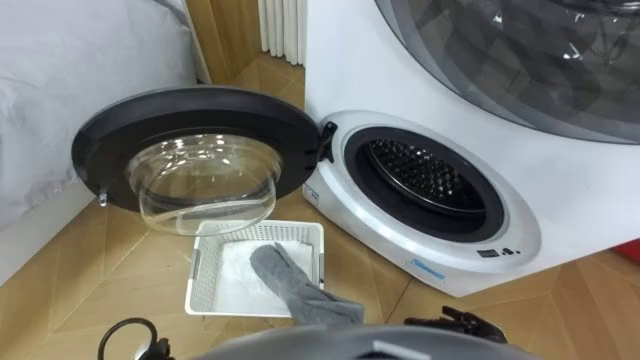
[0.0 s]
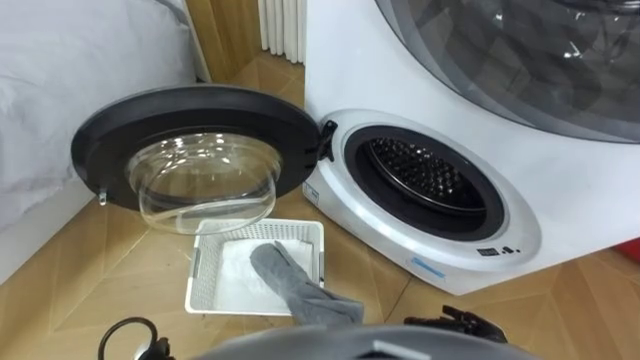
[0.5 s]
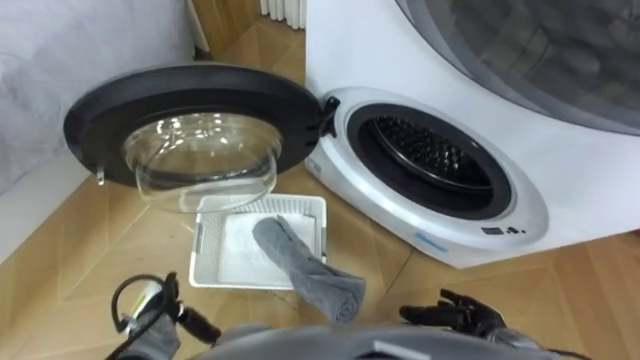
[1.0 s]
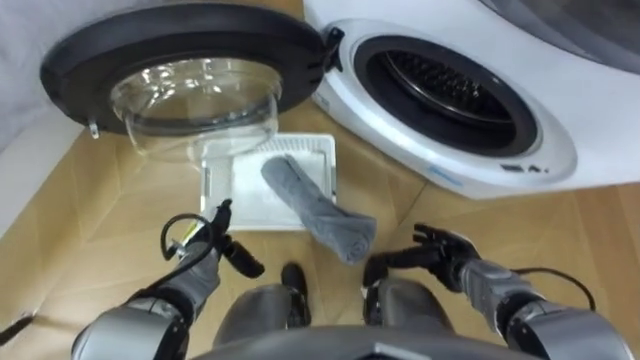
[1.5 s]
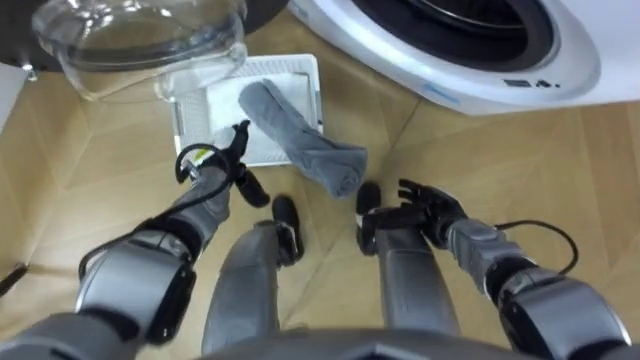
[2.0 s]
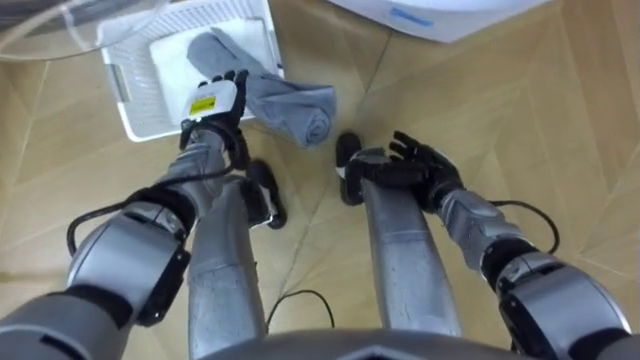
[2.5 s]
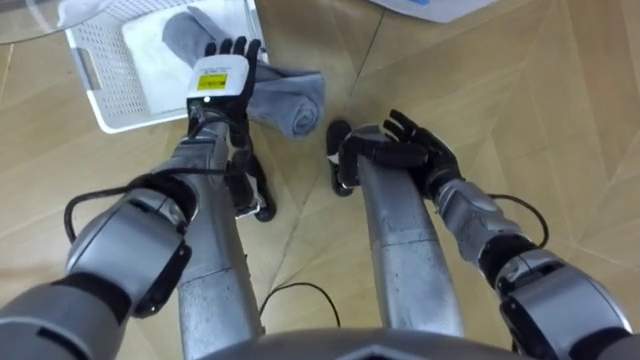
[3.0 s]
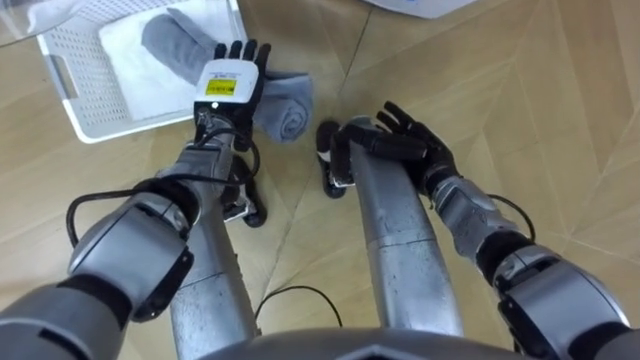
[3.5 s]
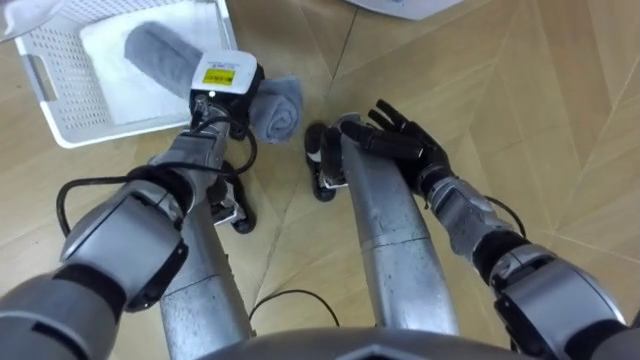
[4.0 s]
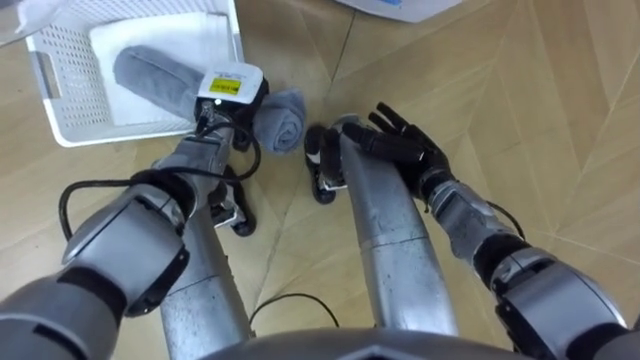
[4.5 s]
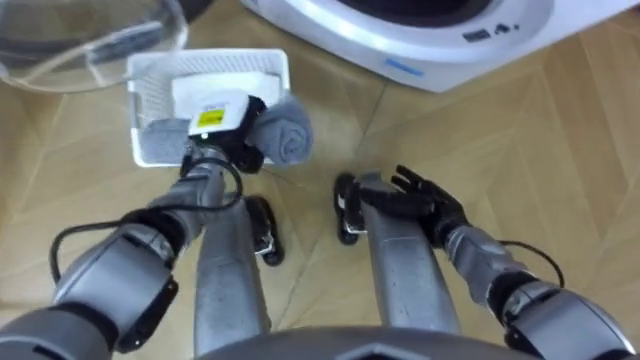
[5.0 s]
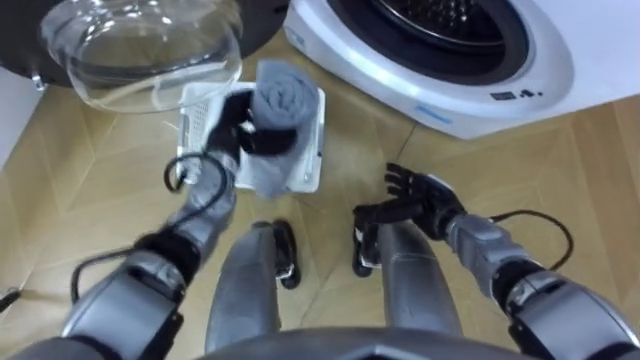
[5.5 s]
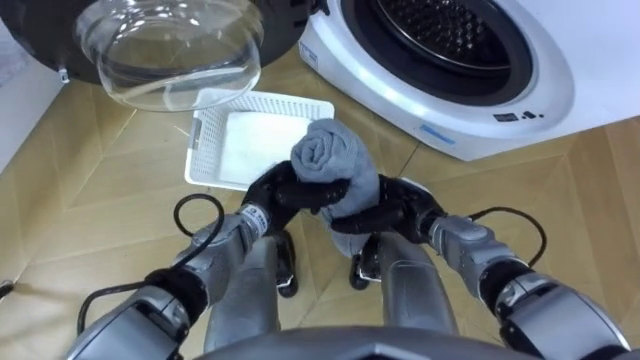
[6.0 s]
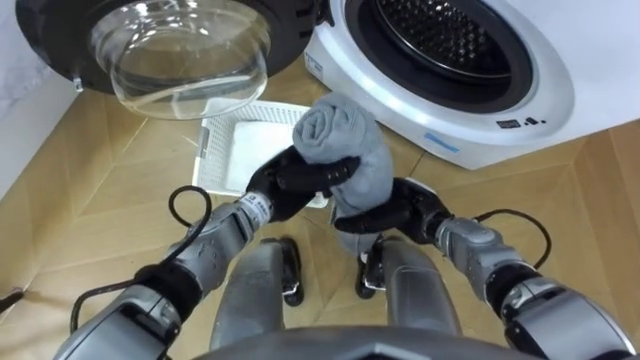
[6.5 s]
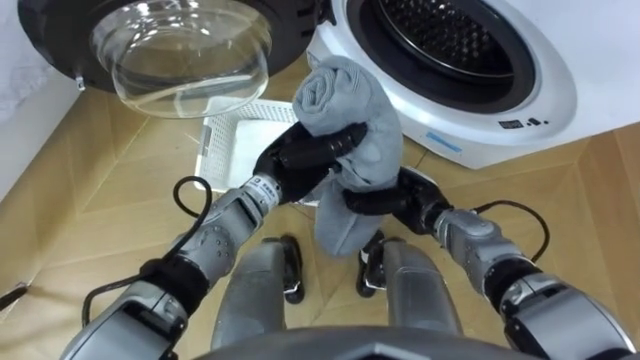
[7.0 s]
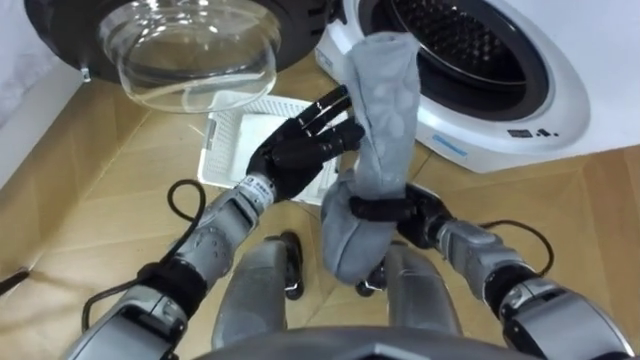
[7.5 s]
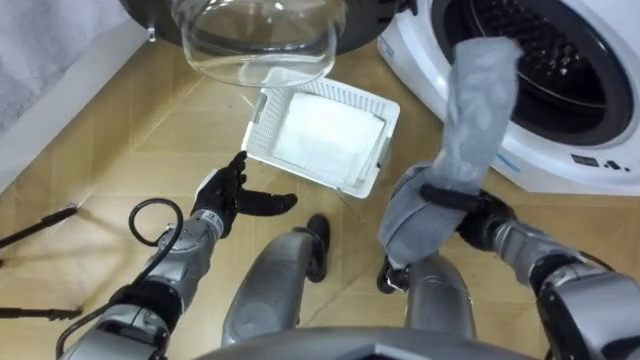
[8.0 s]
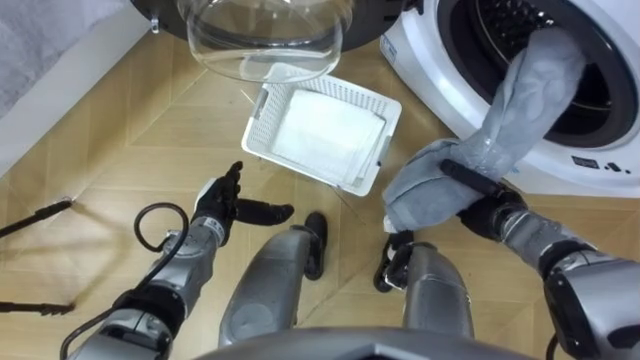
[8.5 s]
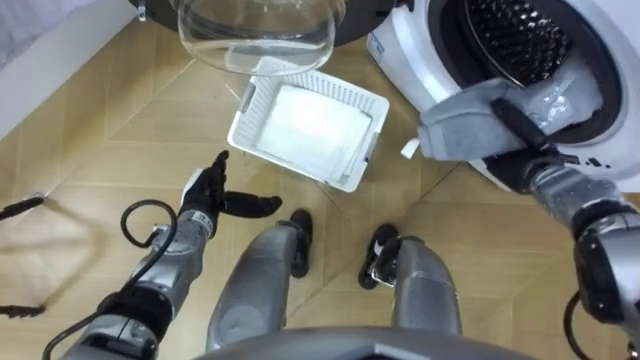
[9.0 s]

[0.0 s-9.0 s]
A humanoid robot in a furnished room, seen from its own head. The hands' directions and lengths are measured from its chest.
Task of the whole recording: Take the towel from the basket and put it into the washing machine.
2.0 to 4.5 s: Both hands move upward and forward, approximately 10 cm. The left hand closes.
4.5 to 7.0 s: The left hand moves backward and to the right, about 10 cm. Meanwhile the right hand ends up roughly 5 cm from where it was, and closes up.
7.0 to 9.0 s: The right hand moves to the right, roughly 15 cm, while the left hand heads to the left and downward, covering some 15 cm, and opens its fingers.

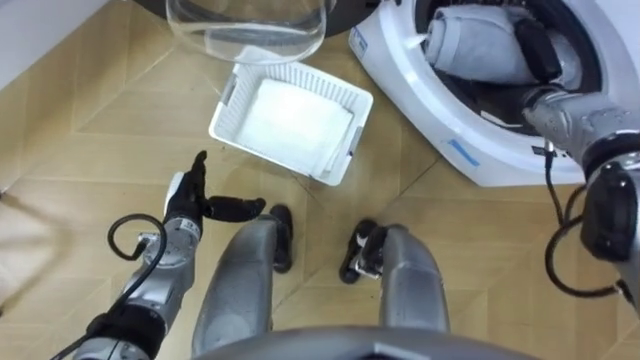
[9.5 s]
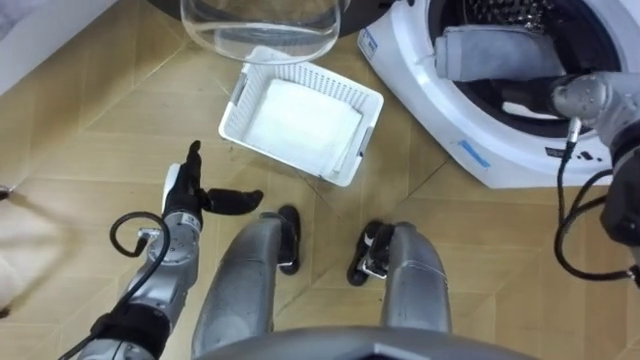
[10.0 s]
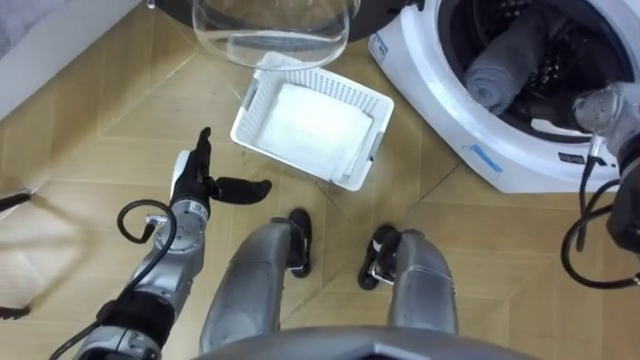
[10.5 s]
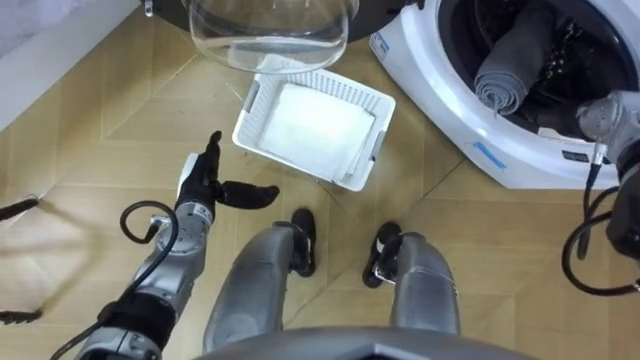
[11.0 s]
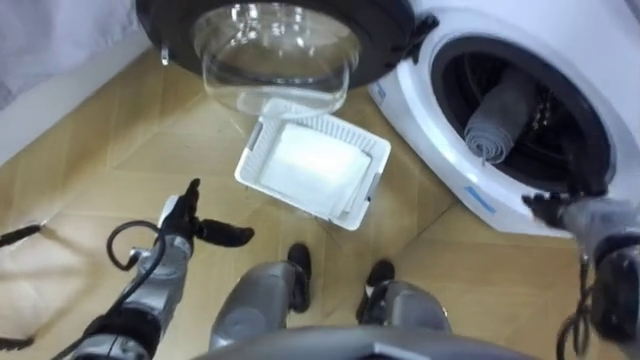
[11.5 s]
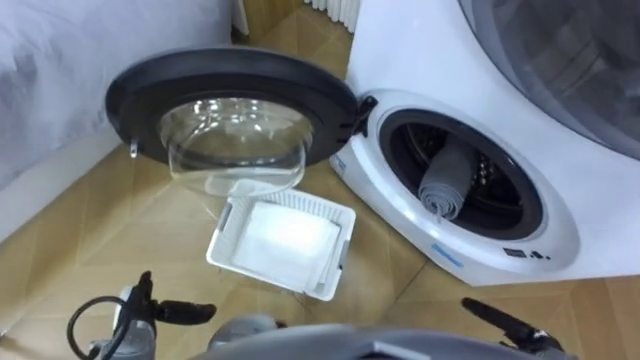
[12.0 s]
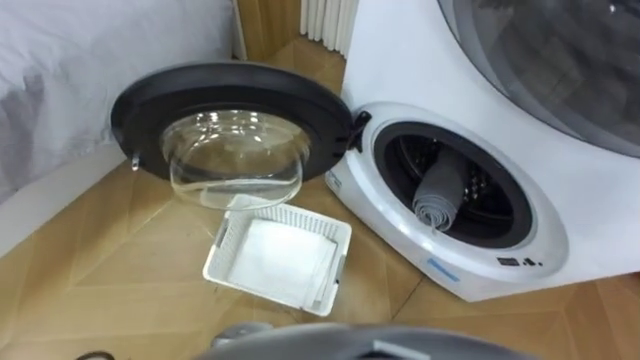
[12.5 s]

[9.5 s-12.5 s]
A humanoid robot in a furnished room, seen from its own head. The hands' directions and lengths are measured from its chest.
Task of the whole recording: Take the towel from the basket and put it into the washing machine.
9.5 to 11.0 s: The right hand shifts about 10 cm to the right, and opens.

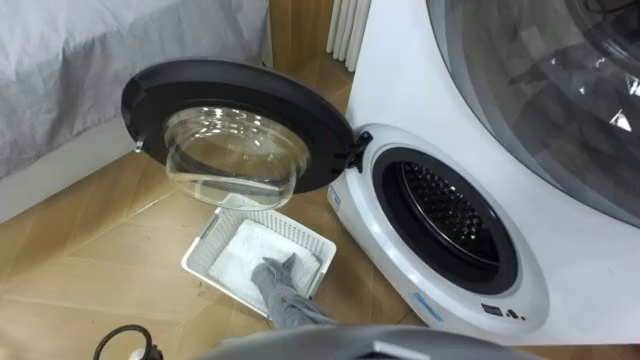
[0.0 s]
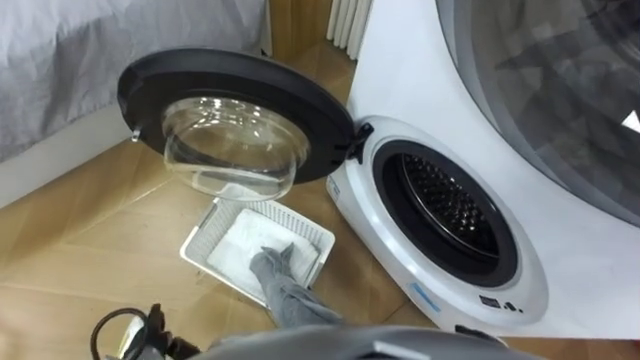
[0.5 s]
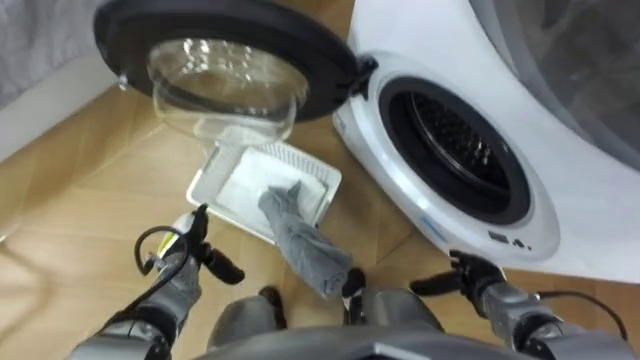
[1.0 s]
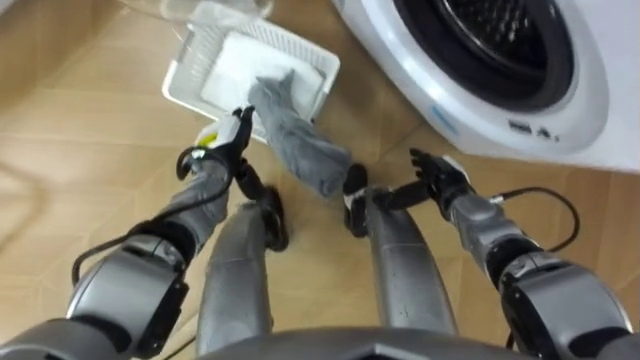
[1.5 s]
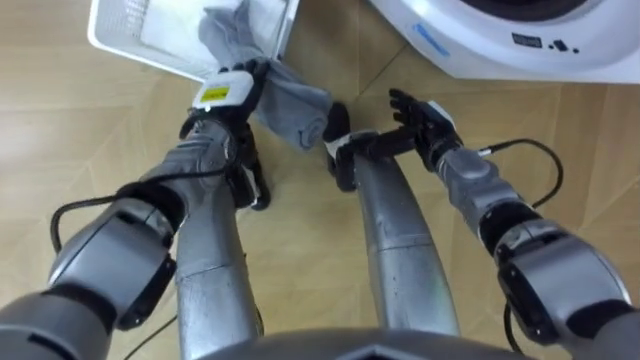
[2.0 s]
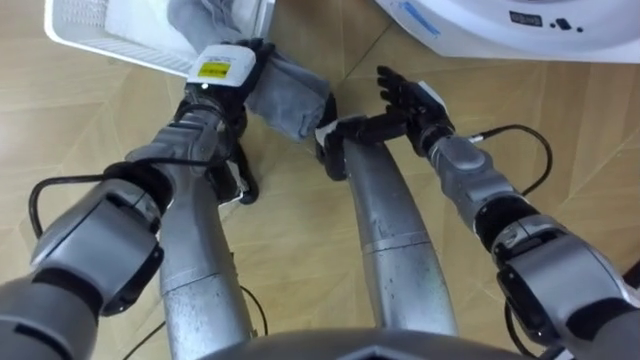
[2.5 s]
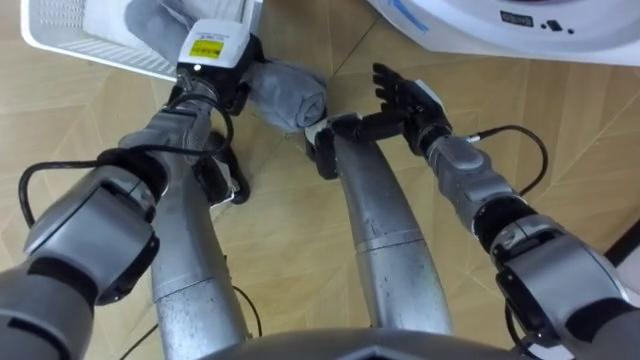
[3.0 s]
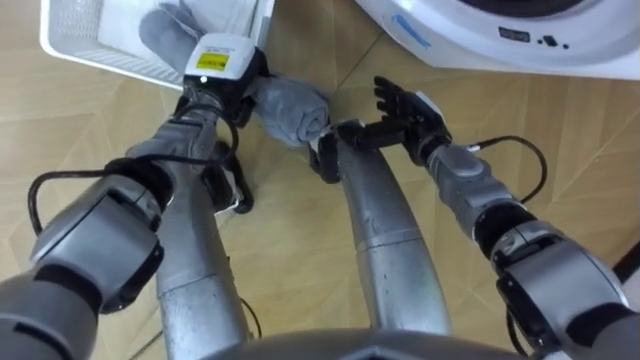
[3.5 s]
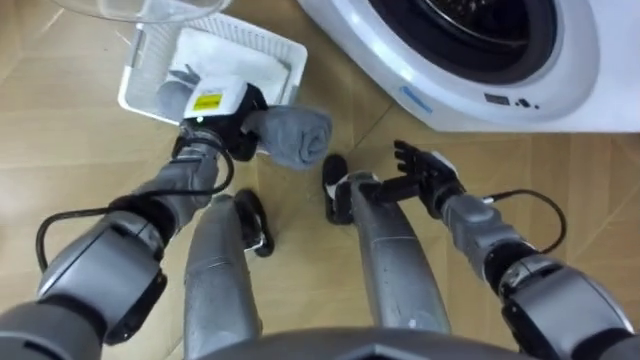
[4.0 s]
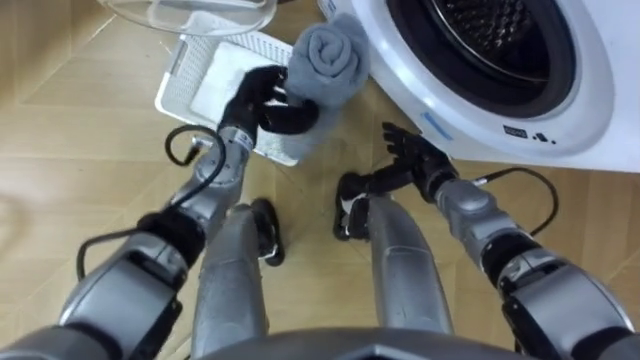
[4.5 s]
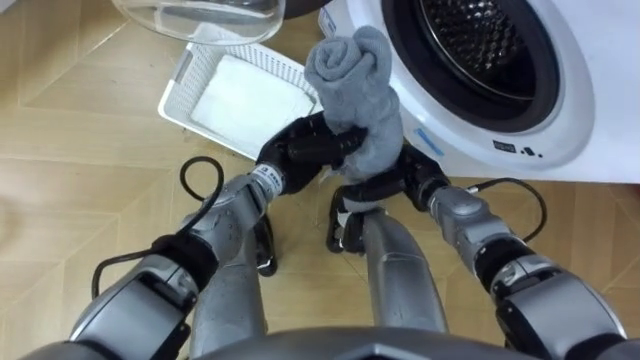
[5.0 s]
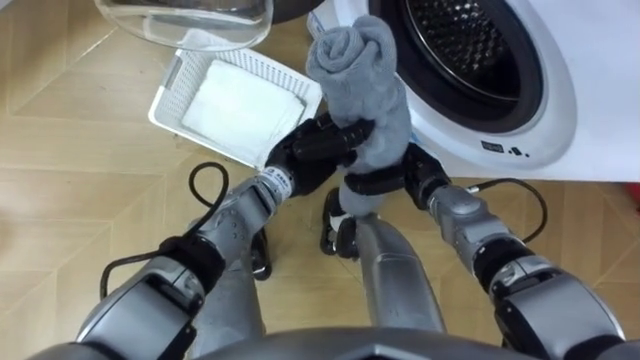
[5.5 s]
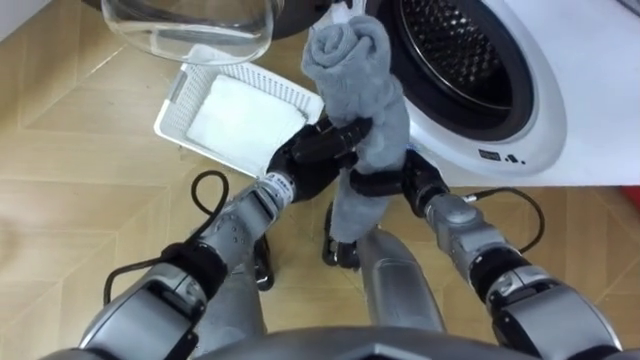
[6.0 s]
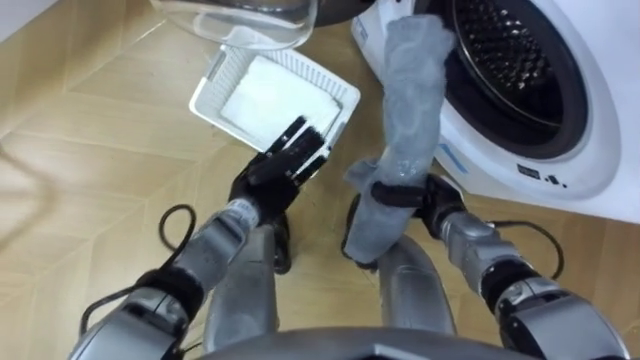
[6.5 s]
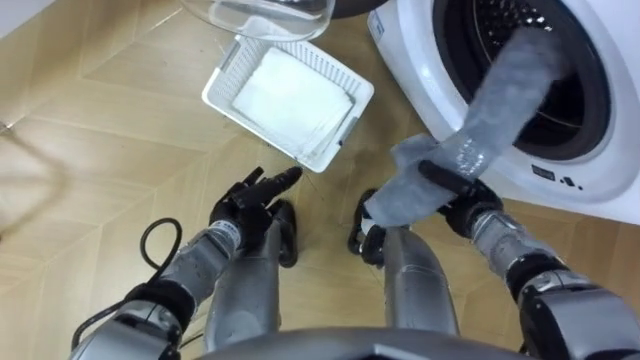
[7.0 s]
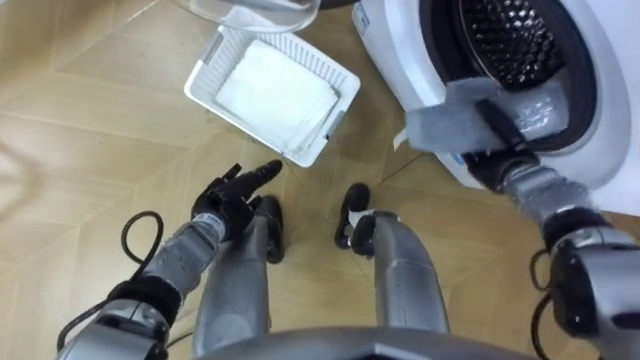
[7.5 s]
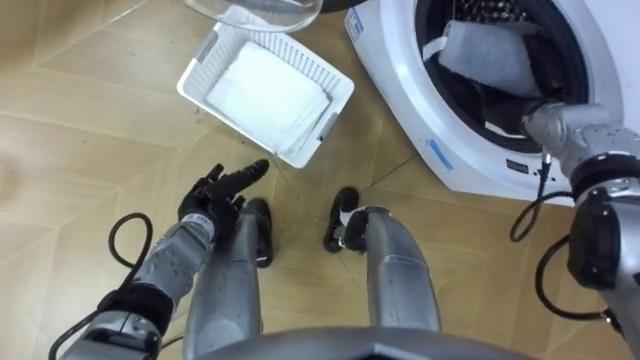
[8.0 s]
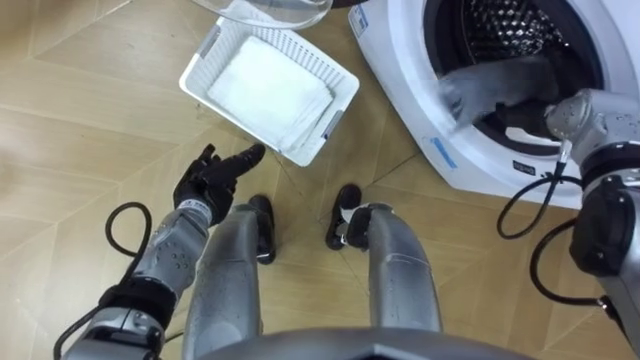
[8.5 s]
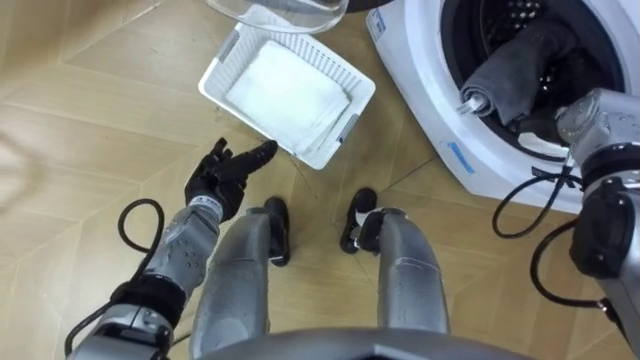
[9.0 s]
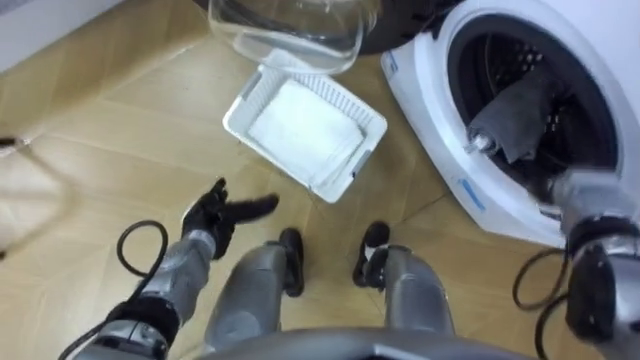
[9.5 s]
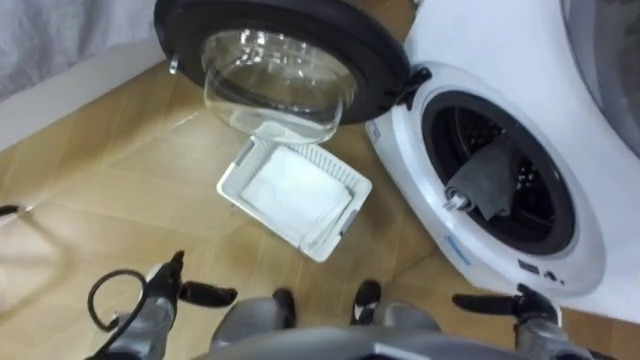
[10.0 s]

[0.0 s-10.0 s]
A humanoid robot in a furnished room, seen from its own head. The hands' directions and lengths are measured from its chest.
Task of the whole recording: Take the towel from the basket and put it into the washing machine.
2.0 to 4.0 s: The right hand travels backward by approximately 5 cm; the left hand closes.
4.0 to 6.0 s: The right hand closes. Meanwhile the left hand is displaced to the right and backward by approximately 15 cm.
6.0 to 8.0 s: The left hand moves to the left and downward, about 15 cm, and opens its fingers, while the right hand goes roughly 20 cm to the right, upward and forward.
8.0 to 10.0 s: The left hand travels backward, to the left and downward by roughly 15 cm. The right hand travels backward and downward by approximately 30 cm, and opens.
